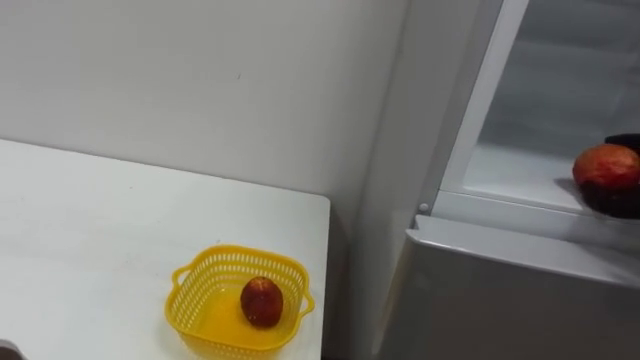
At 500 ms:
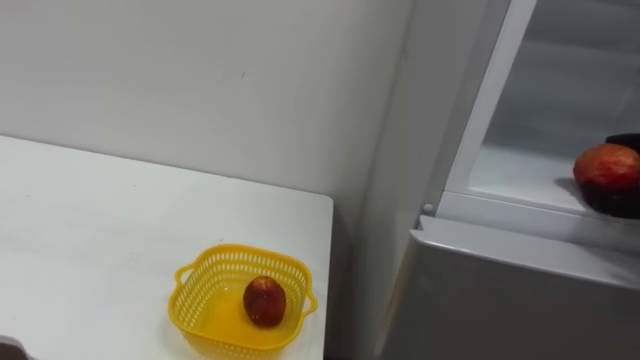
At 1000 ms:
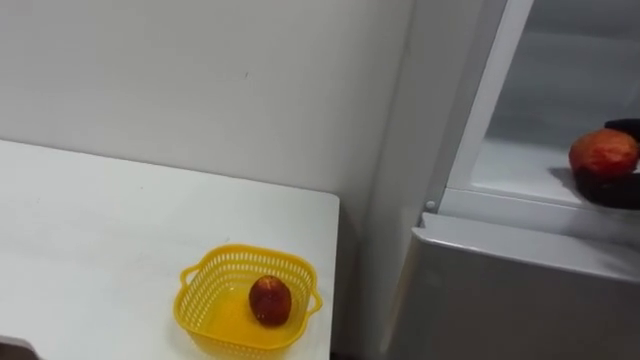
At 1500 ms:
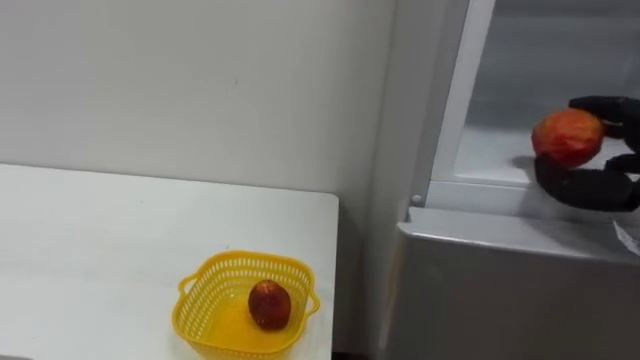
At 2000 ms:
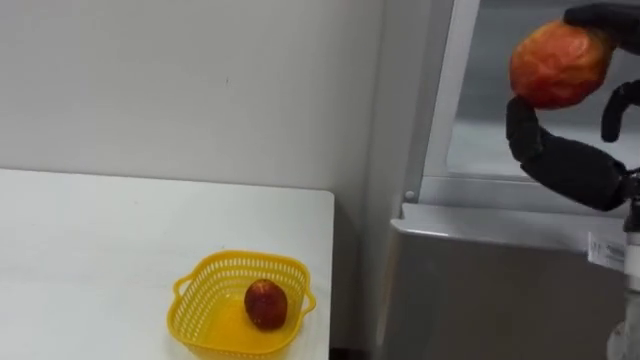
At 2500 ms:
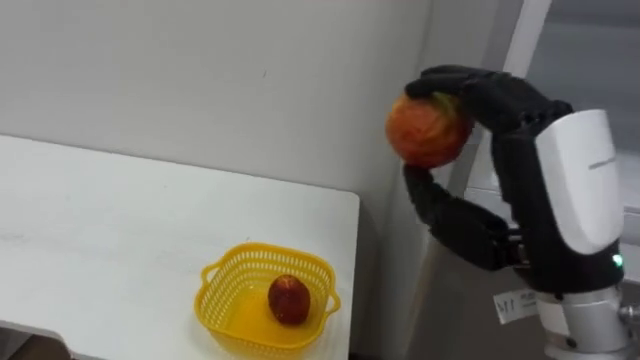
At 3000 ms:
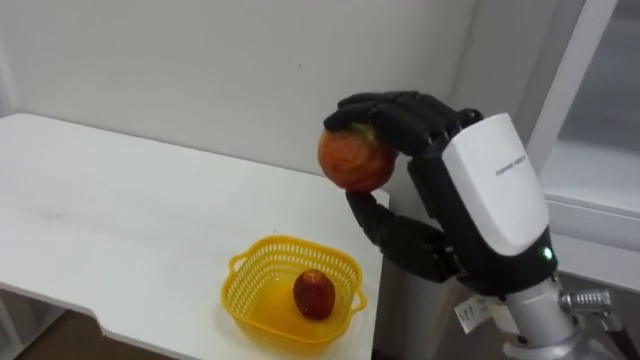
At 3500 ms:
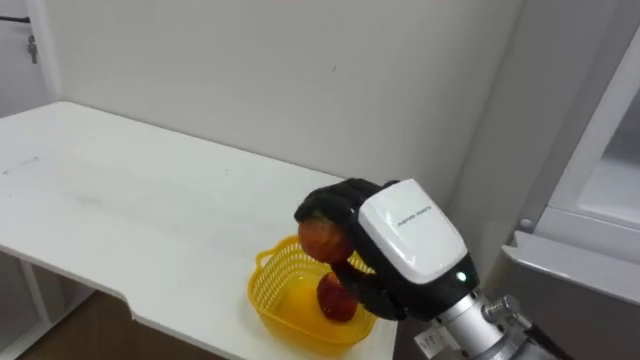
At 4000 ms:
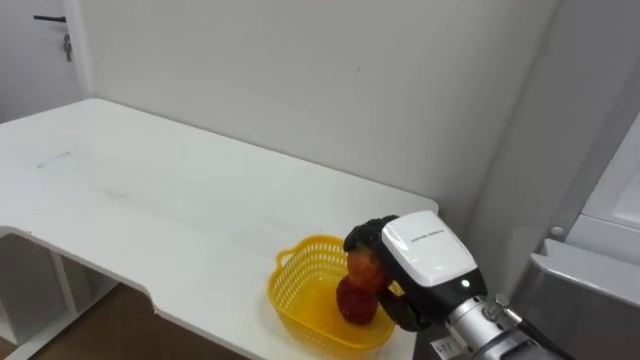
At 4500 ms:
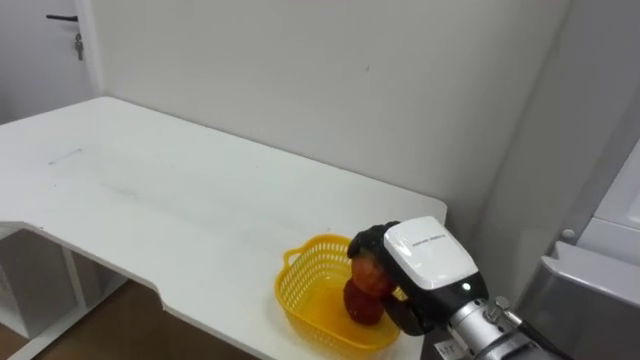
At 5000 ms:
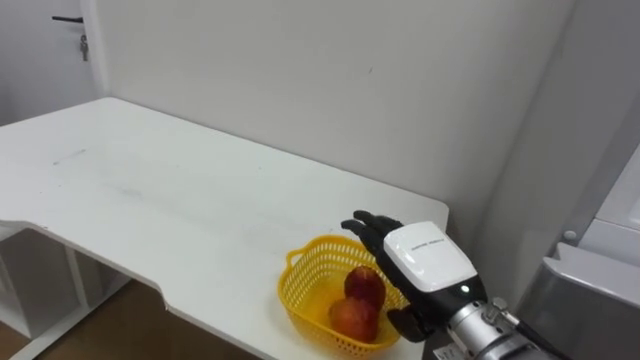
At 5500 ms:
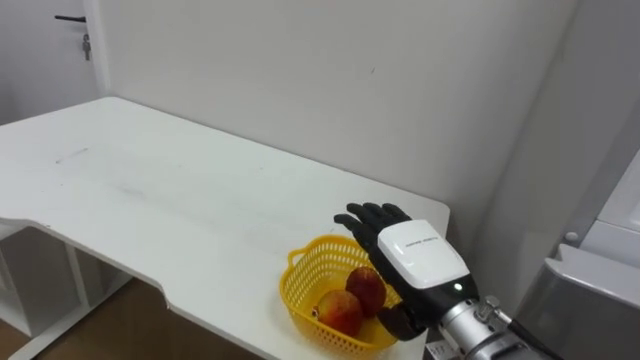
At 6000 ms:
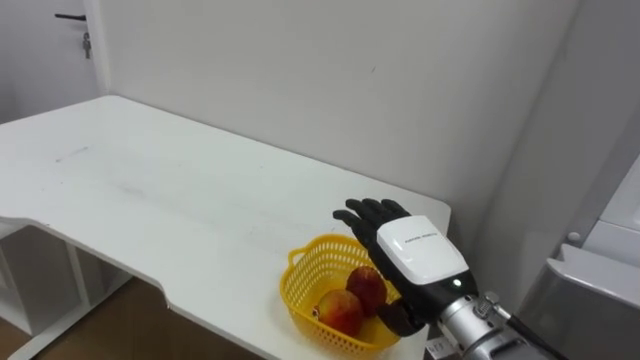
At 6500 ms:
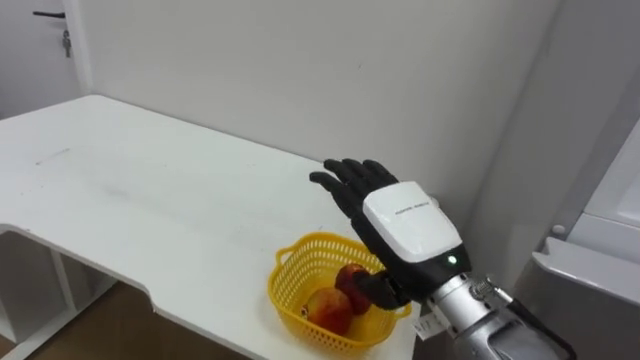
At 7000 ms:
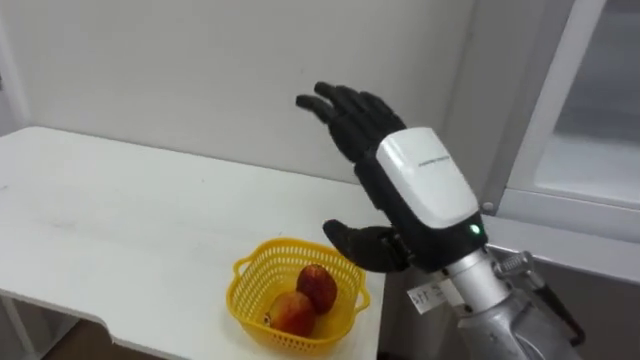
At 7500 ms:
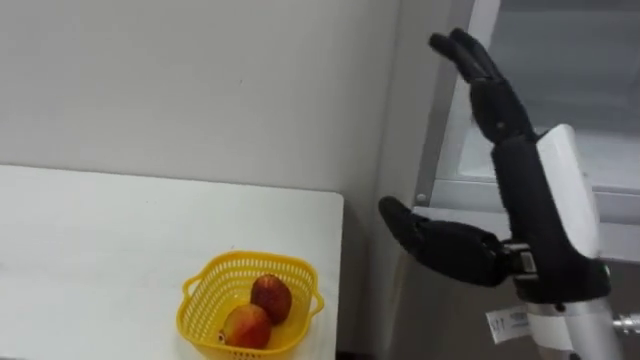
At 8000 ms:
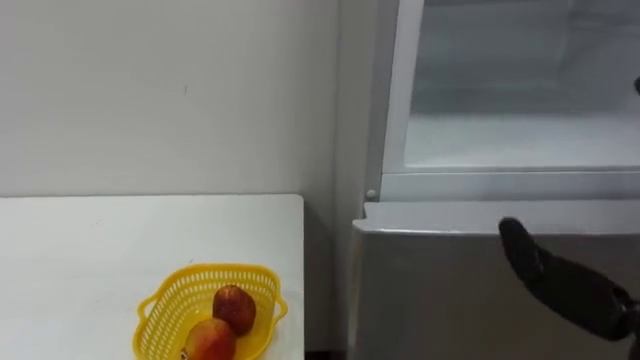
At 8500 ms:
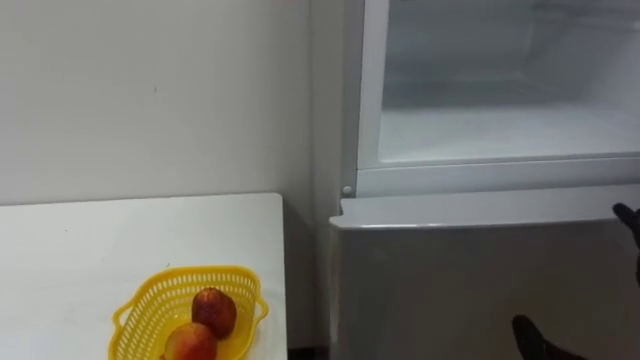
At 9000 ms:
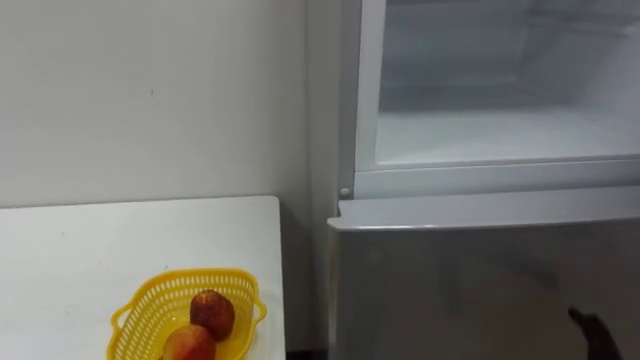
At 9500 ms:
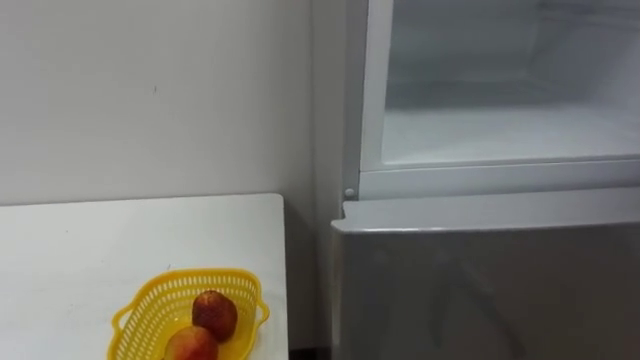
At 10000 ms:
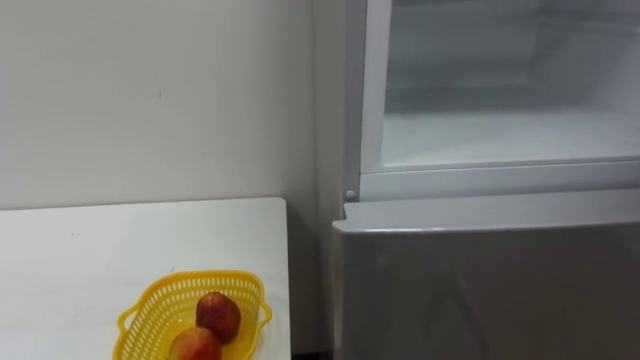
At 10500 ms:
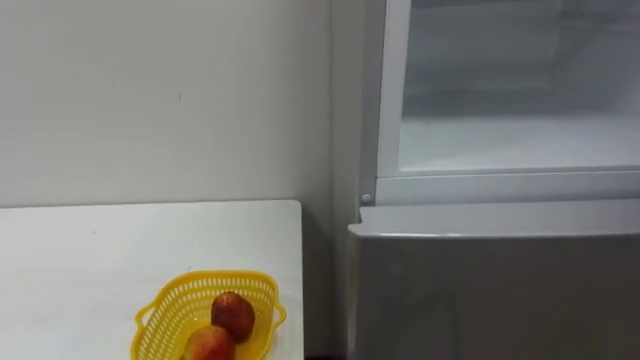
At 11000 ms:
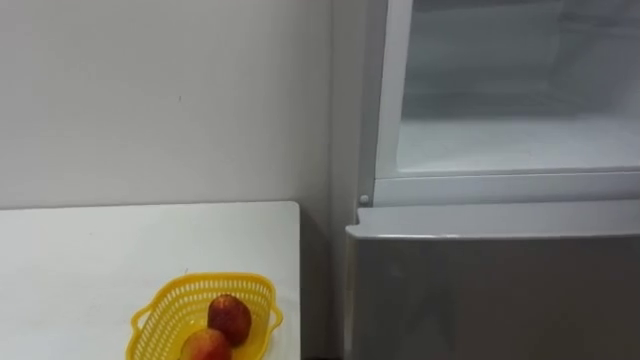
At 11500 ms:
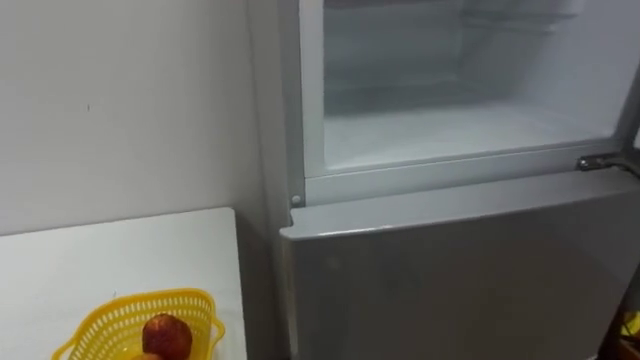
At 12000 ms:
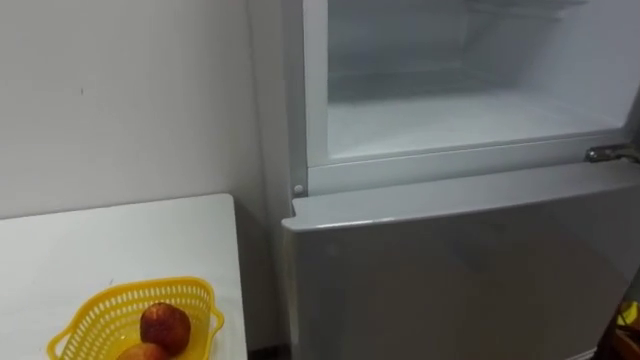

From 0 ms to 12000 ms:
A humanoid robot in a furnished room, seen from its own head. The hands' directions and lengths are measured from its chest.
Task of the whole recording: Open the refrigerator door, take out the apple and the pomegranate, place them in the fruit basket on the left, and close the refrigerator door.
From 4000 ms to 6000 ms: The right hand opens its fingers.

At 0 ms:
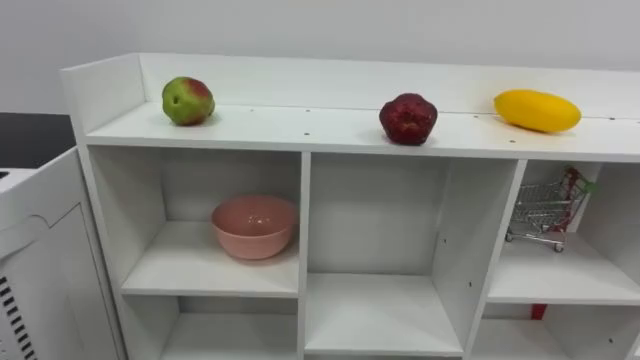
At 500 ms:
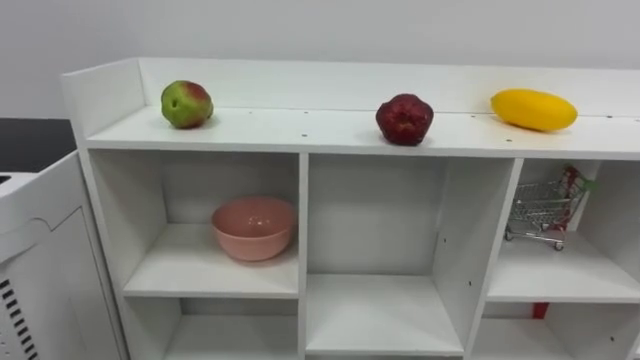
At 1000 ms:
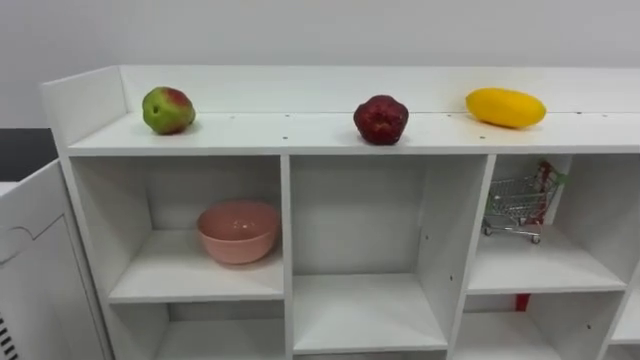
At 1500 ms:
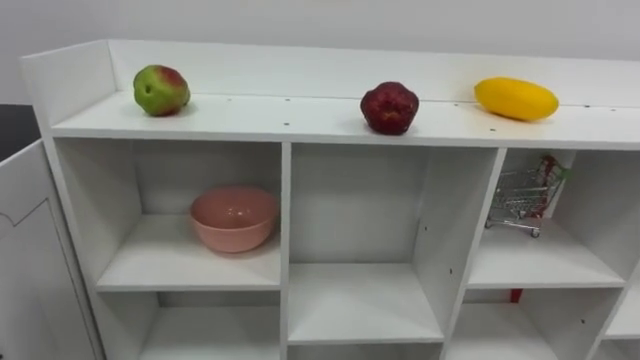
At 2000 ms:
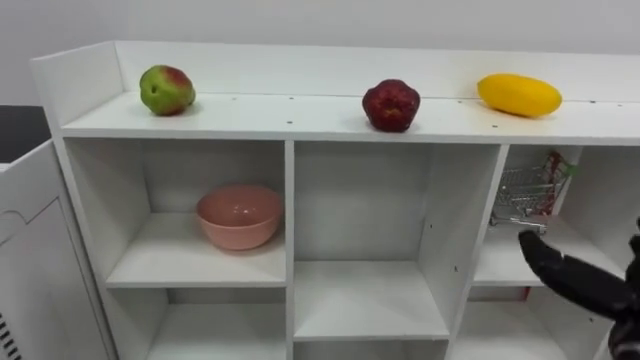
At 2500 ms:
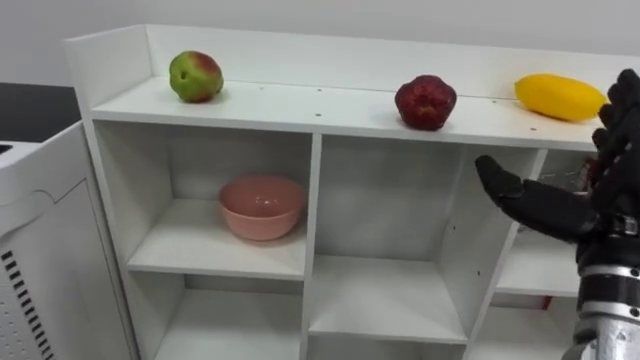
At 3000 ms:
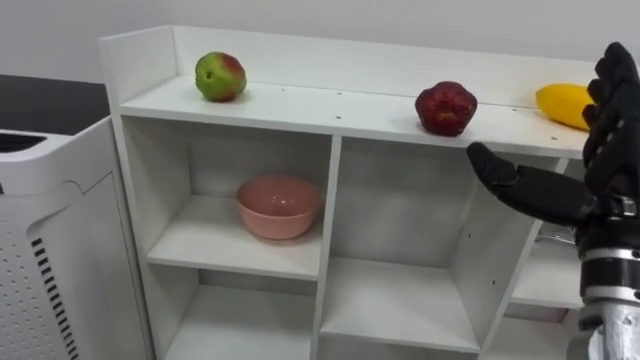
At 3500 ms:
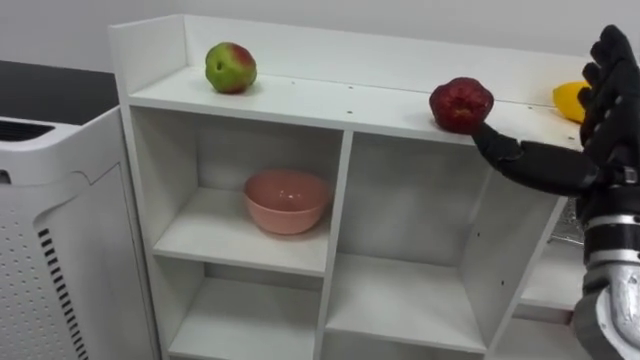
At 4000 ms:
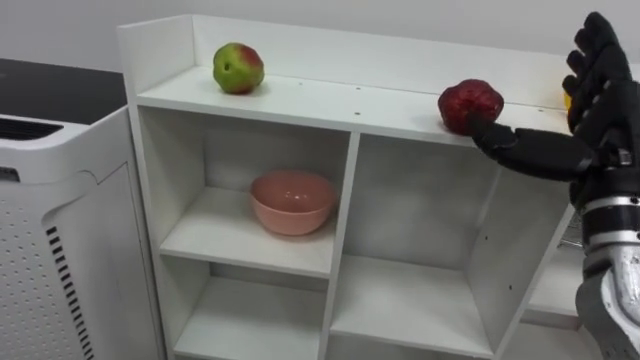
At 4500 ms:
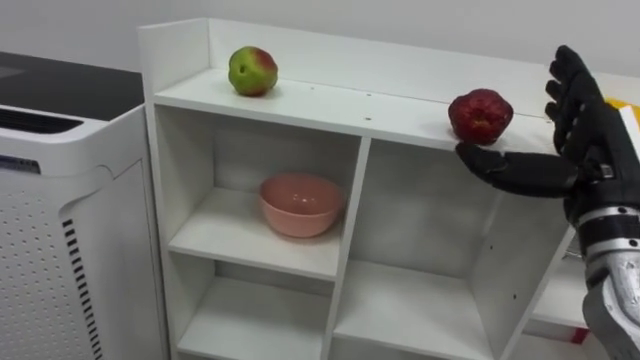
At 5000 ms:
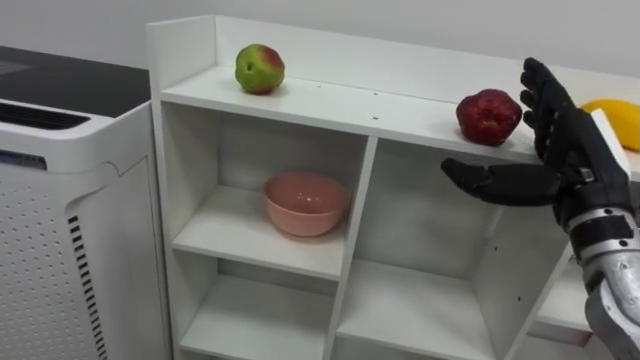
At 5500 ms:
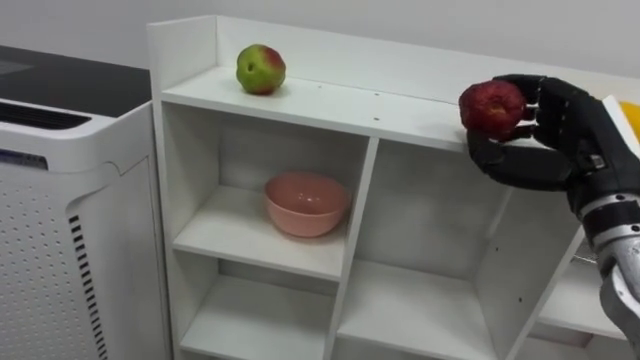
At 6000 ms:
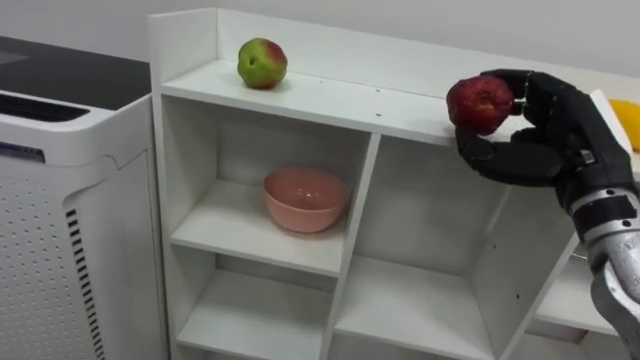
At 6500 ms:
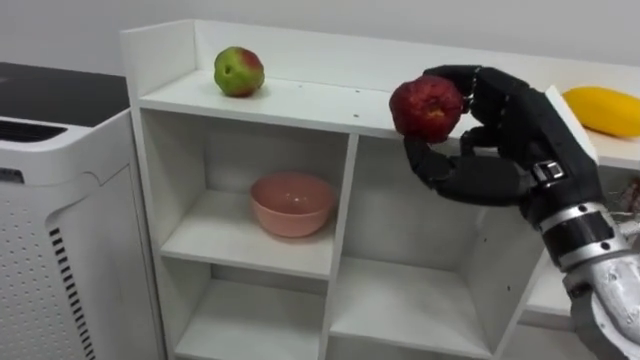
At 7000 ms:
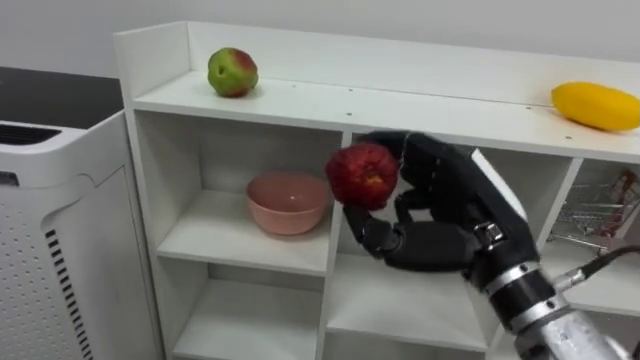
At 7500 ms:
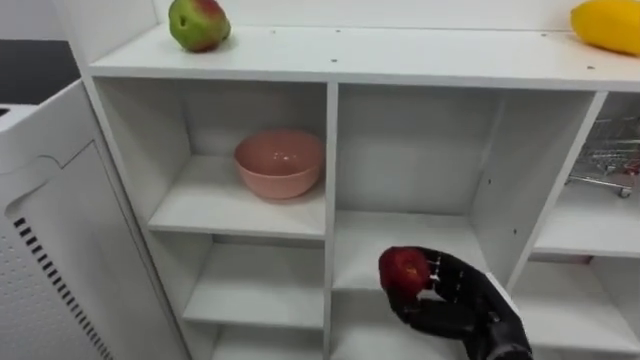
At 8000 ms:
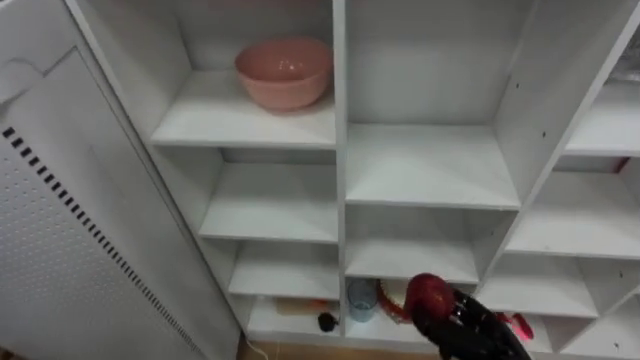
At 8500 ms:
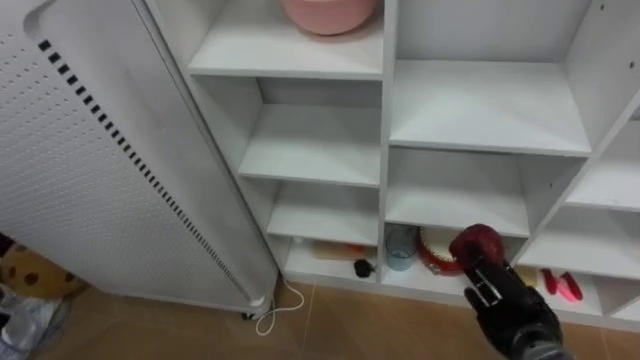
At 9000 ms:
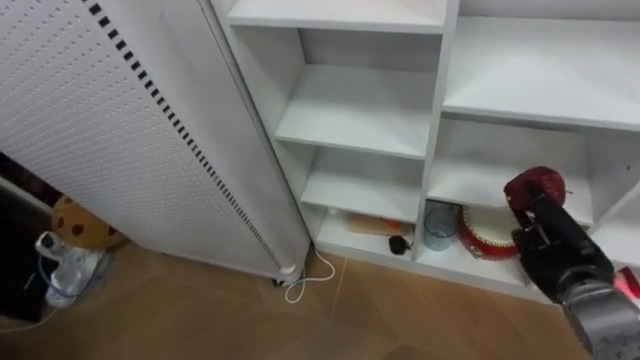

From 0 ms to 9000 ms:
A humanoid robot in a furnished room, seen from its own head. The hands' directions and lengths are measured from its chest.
Task of the whole recording: Put the apple in the cell in the second column from the left and the second row from the top.
From 4500 ms to 7000 ms: The right hand shifts roughly 10 cm to the left, and closes.
